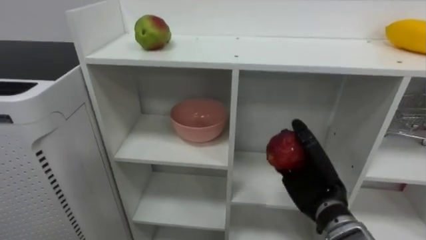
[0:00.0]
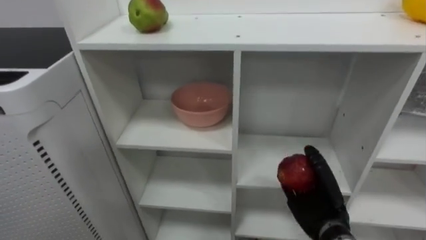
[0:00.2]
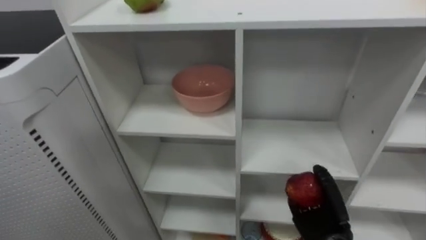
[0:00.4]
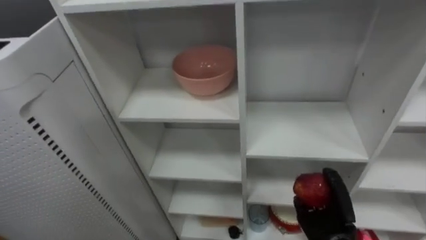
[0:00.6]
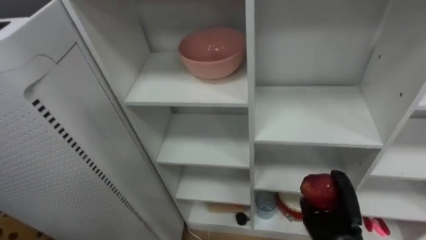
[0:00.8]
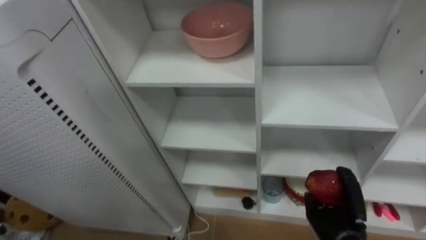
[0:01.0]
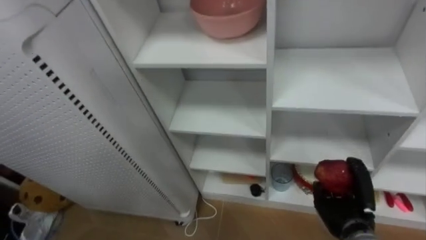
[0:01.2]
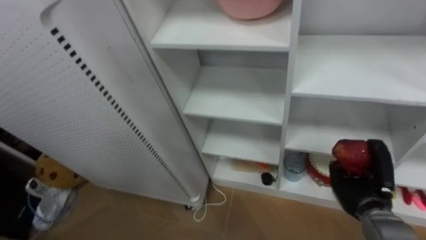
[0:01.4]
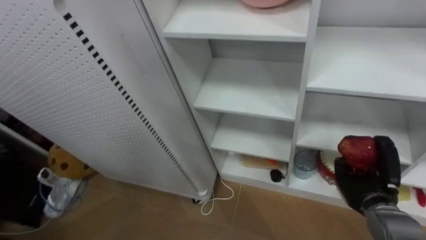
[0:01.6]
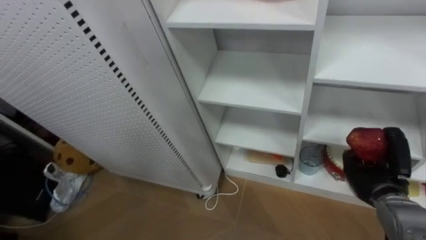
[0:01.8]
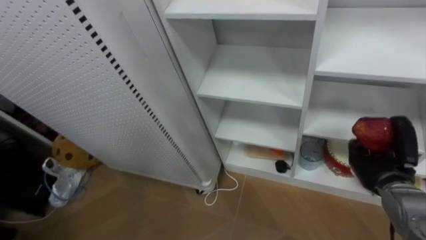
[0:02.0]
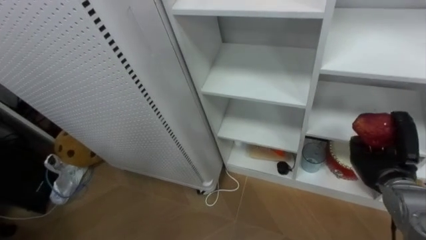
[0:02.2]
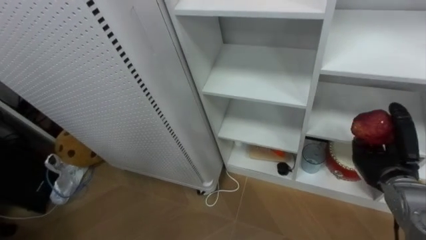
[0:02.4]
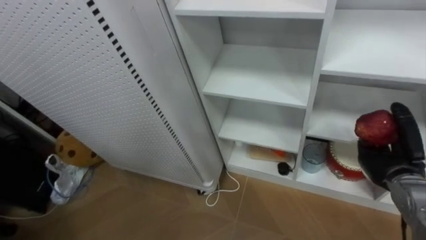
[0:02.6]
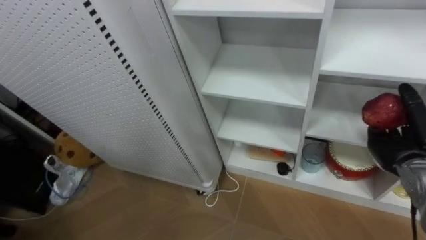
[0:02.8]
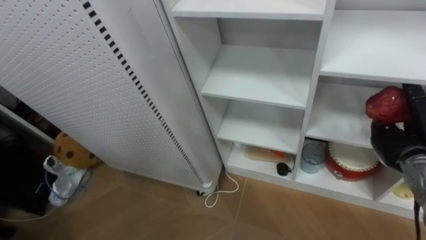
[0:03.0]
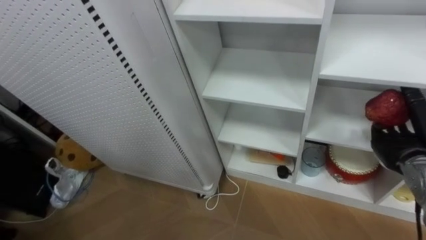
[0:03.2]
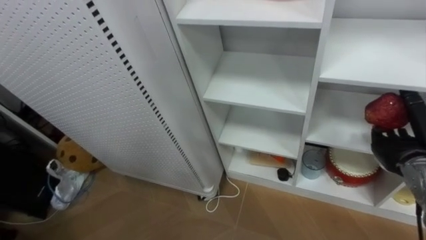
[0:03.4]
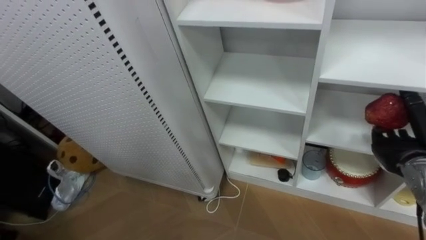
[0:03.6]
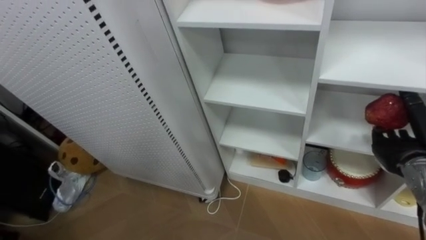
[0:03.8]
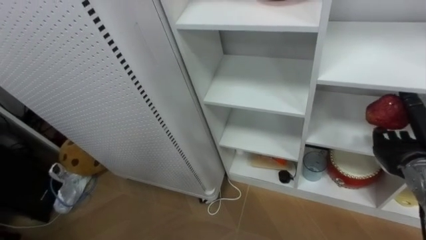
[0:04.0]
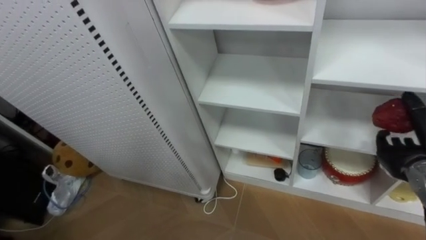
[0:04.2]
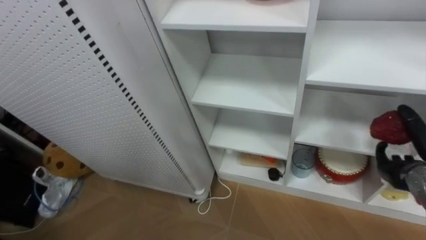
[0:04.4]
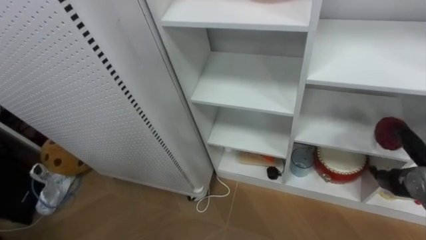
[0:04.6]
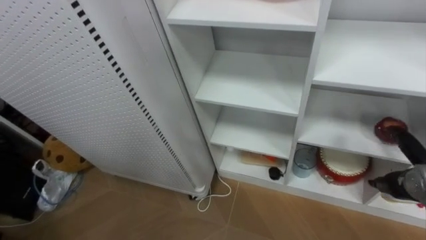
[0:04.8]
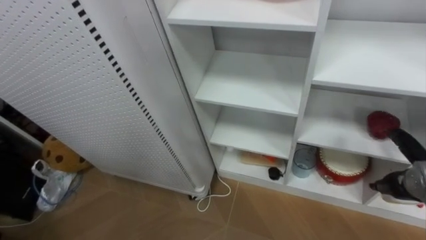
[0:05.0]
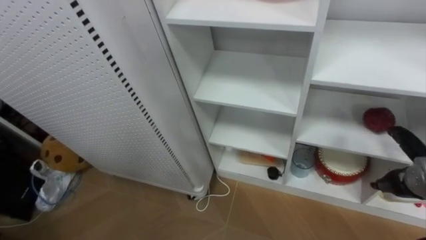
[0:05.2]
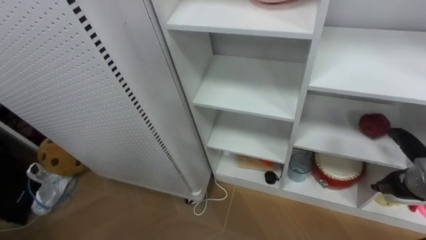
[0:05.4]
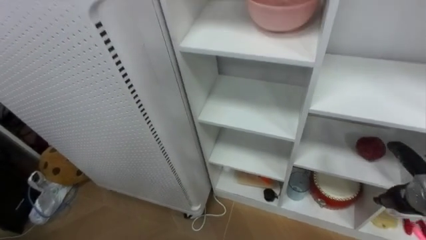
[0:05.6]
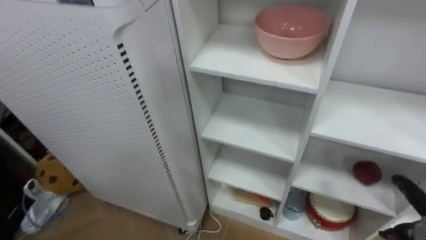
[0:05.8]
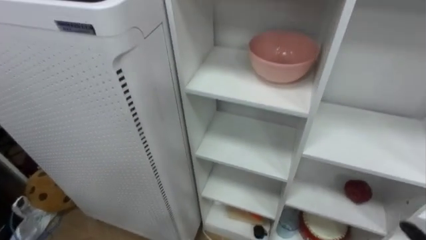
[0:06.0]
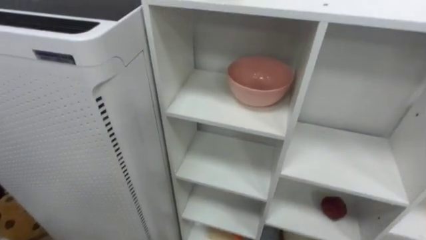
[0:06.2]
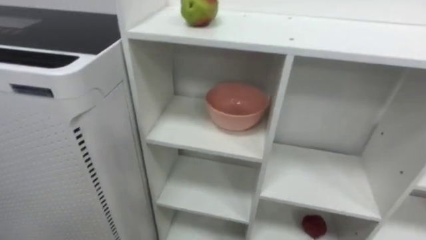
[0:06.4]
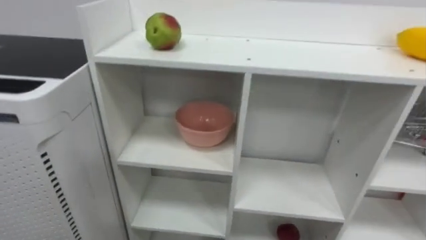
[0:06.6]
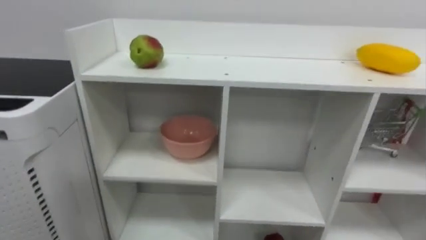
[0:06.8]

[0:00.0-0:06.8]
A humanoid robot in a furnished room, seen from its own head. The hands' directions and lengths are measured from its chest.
Task of the whole recording: Put the apple in the cell in the second column from the left and the second row from the top.
0:00.0 to 0:01.4: The right hand moves to the right and downward, about 10 cm.
0:01.4 to 0:02.8: The right hand heads upward and to the right, covering roughly 10 cm, and opens its fingers.

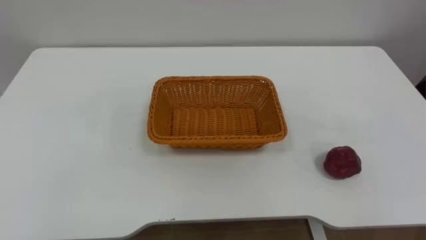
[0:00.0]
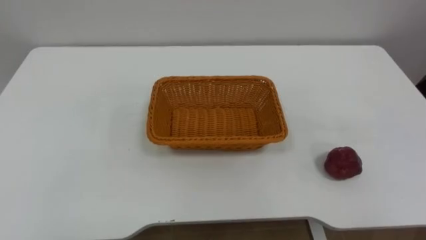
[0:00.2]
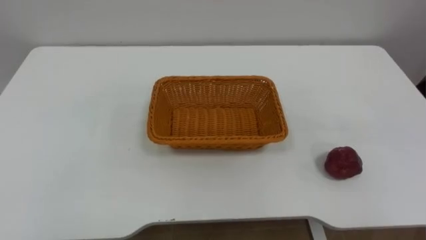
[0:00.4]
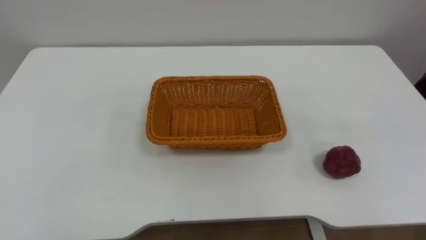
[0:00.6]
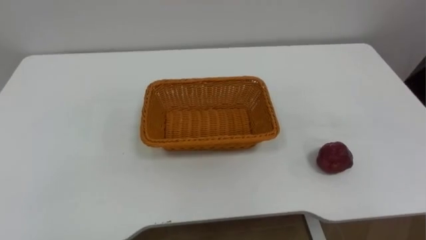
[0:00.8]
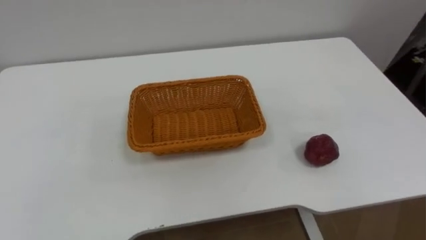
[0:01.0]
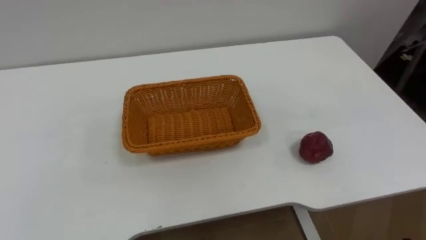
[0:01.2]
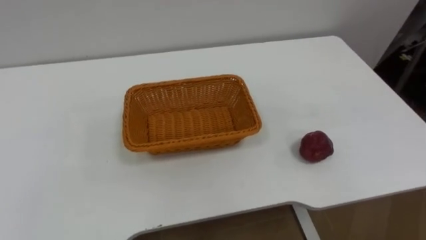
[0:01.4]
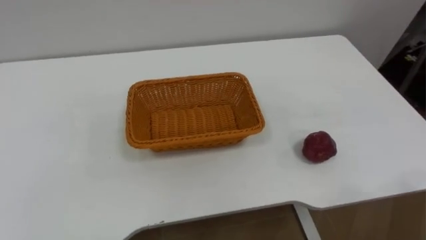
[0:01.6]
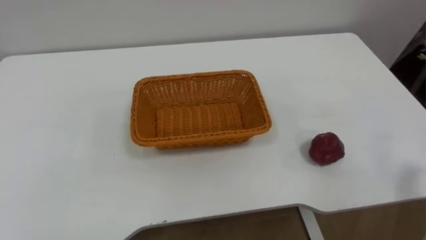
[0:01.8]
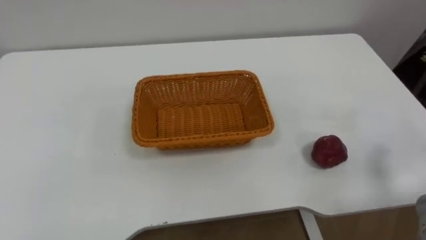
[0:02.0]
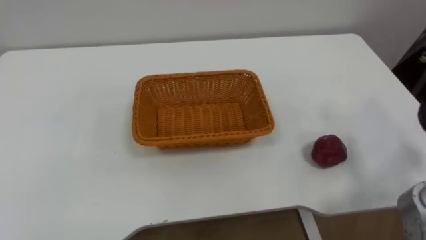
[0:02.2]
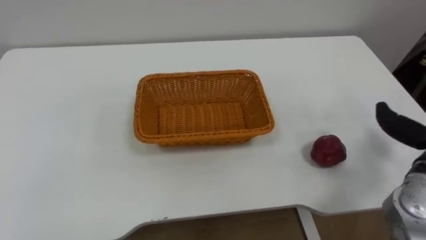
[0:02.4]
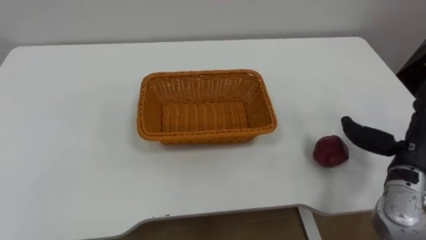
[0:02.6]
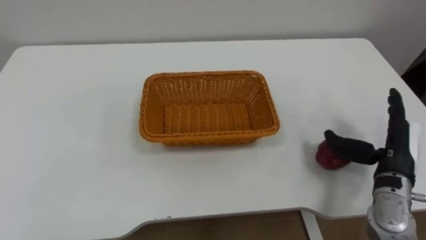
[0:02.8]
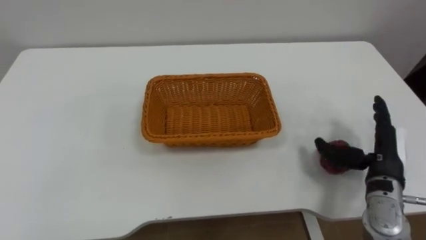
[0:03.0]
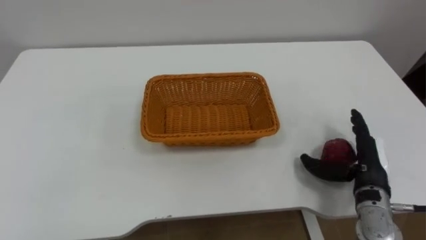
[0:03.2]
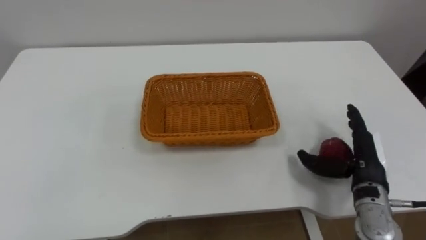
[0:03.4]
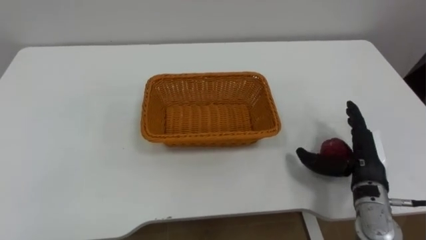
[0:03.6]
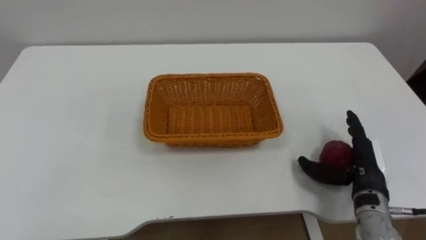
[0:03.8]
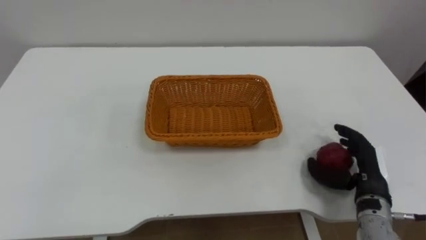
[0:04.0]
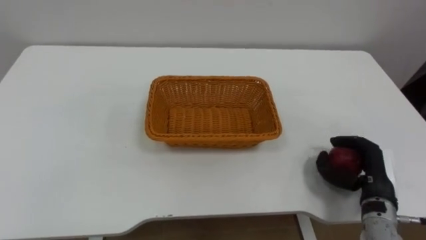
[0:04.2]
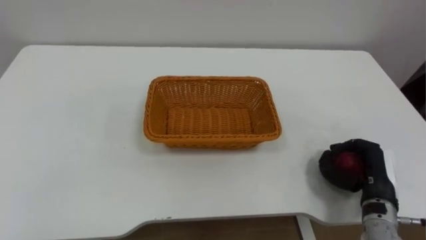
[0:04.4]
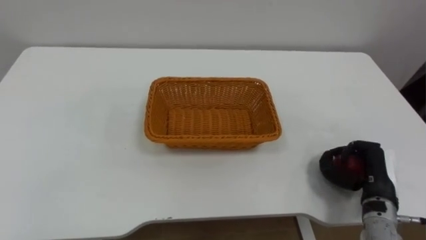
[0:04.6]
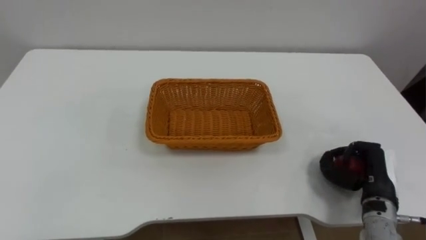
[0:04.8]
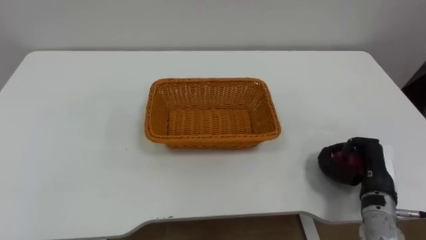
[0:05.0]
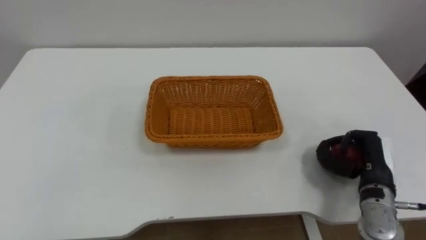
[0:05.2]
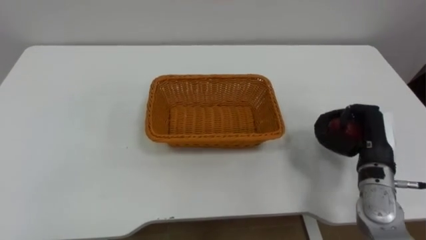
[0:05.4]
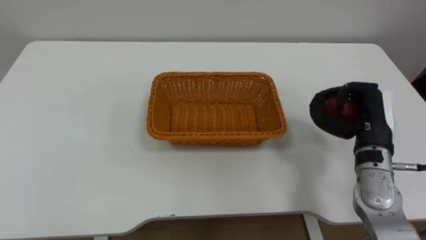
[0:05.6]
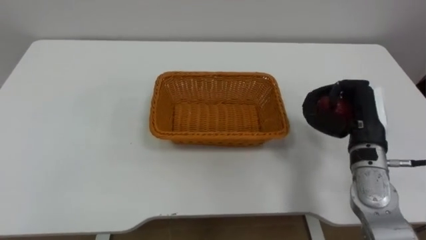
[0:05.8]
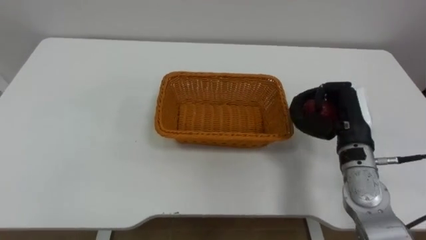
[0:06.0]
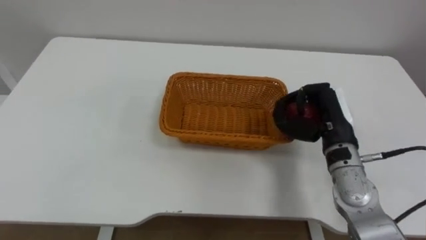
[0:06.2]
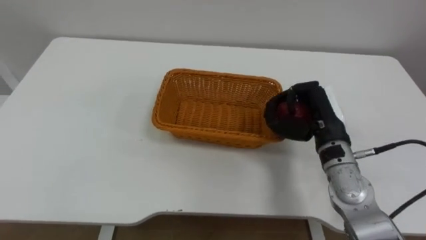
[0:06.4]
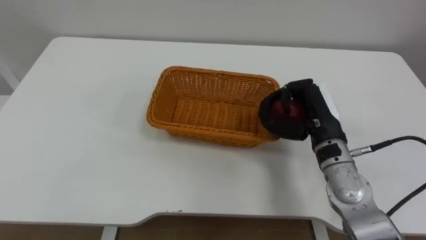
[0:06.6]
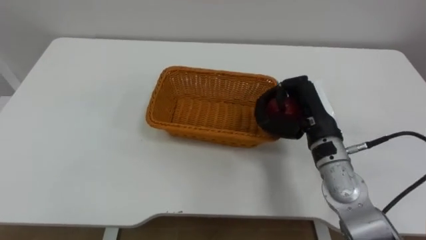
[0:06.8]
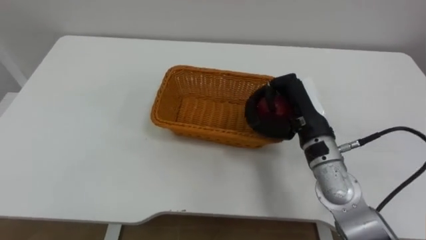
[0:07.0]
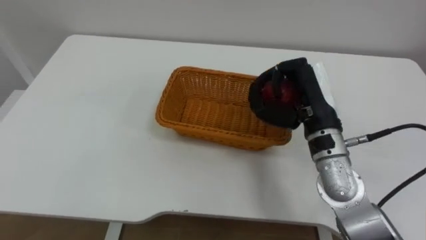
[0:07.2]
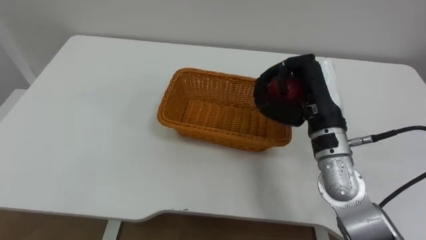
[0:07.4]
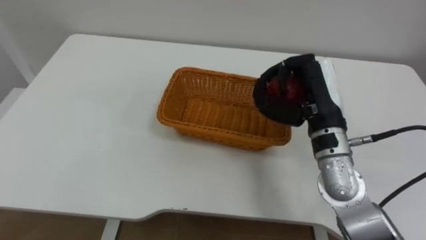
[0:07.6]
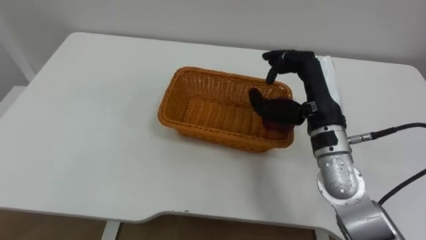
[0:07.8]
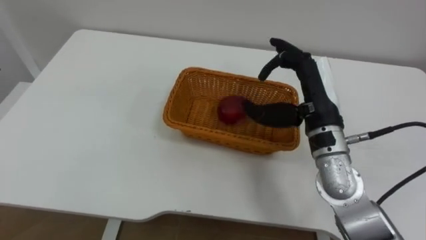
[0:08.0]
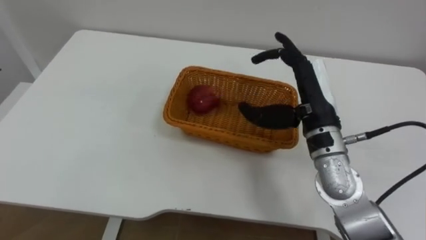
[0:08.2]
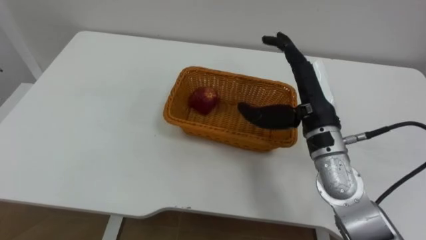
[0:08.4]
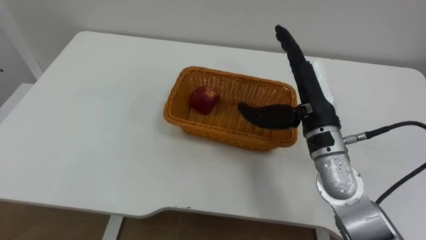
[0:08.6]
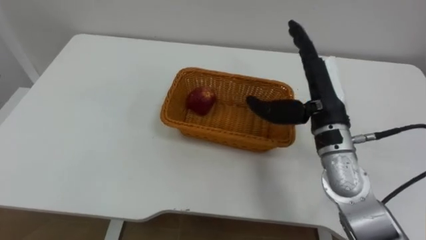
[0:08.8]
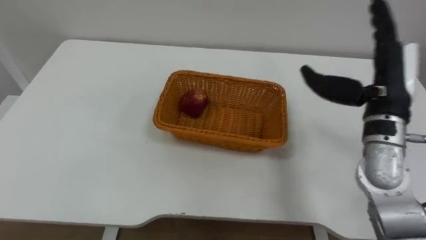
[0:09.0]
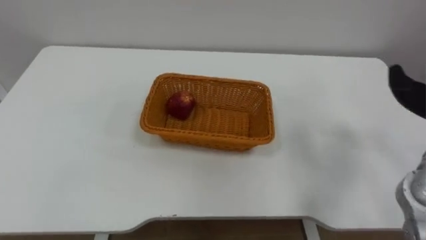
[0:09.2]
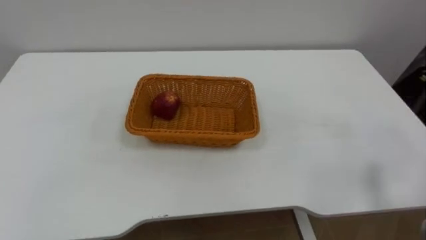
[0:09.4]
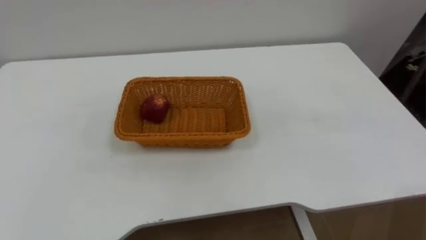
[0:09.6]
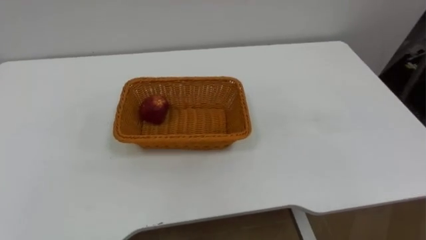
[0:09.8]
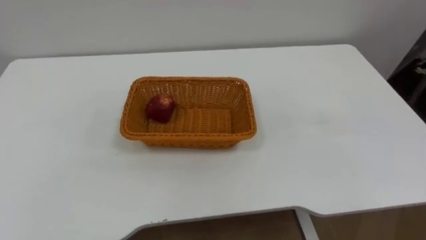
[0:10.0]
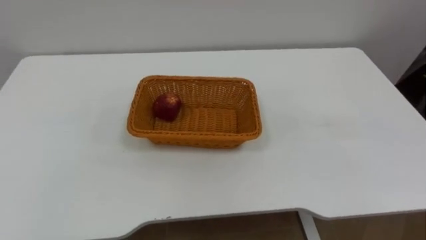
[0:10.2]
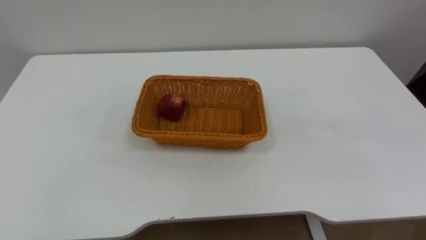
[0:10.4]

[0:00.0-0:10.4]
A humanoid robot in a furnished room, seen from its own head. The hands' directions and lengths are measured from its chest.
Task of the whole recording: Pick the apple and place it in the box.
0:03.0 to 0:04.4: The right hand ends up about 5 cm from where it was, and closes.
0:04.4 to 0:06.0: The right hand moves upward, forward and to the left, about 15 cm.
0:06.0 to 0:07.4: The right hand is displaced to the left and upward by some 10 cm.
0:07.4 to 0:09.0: The right hand shifts some 10 cm to the right, and opens up.
